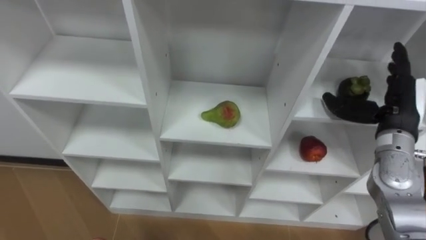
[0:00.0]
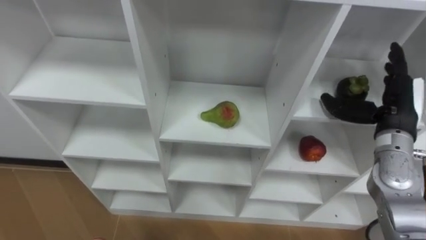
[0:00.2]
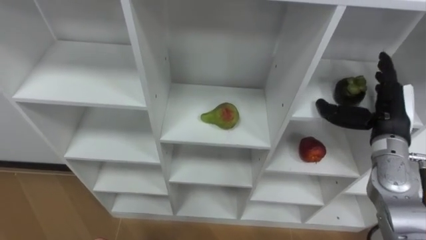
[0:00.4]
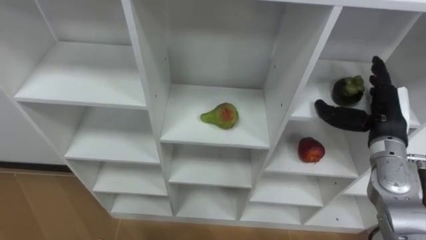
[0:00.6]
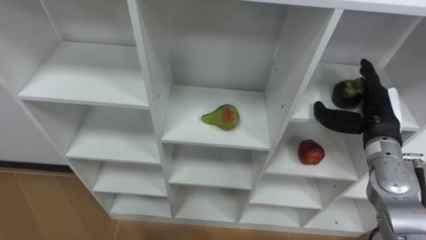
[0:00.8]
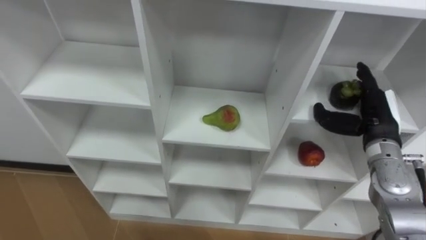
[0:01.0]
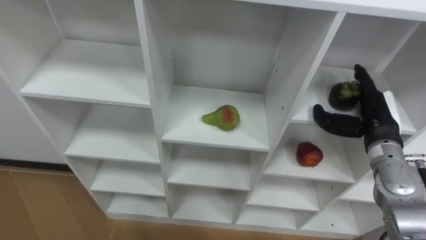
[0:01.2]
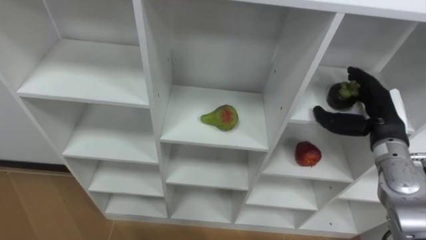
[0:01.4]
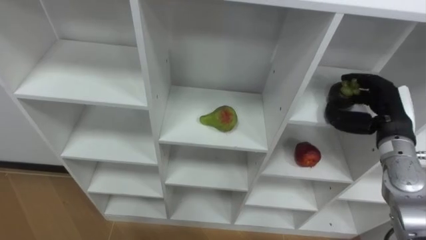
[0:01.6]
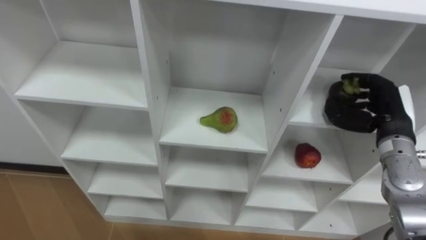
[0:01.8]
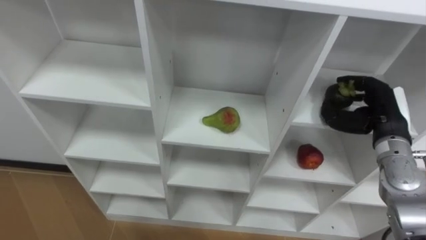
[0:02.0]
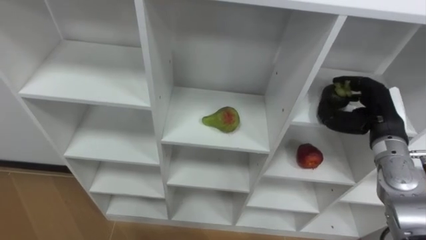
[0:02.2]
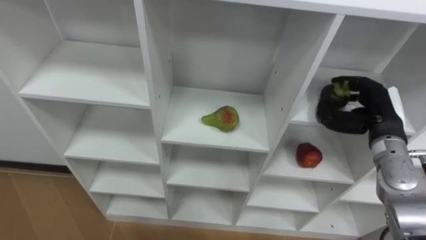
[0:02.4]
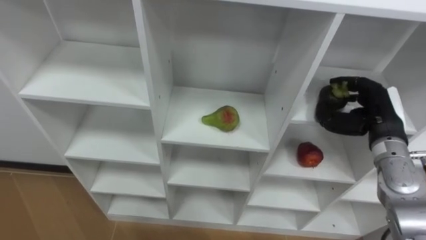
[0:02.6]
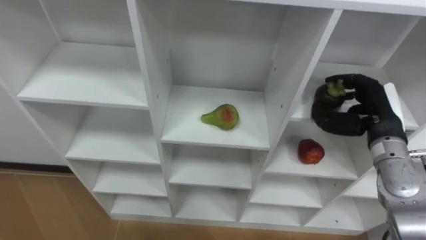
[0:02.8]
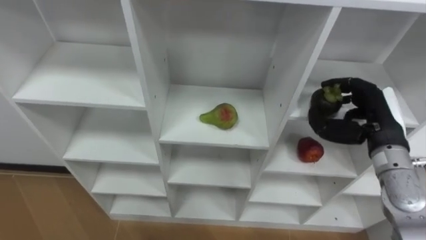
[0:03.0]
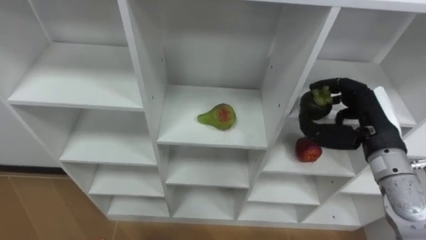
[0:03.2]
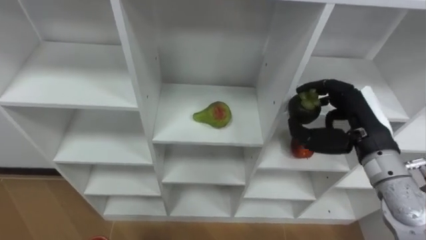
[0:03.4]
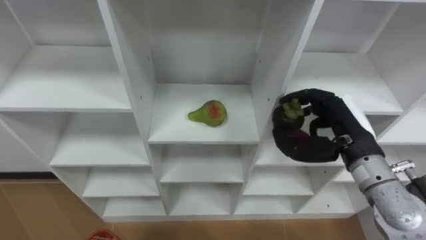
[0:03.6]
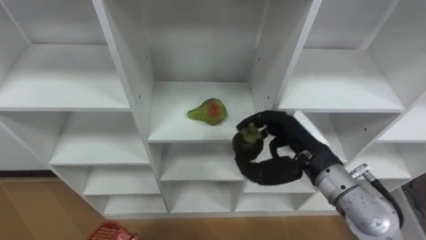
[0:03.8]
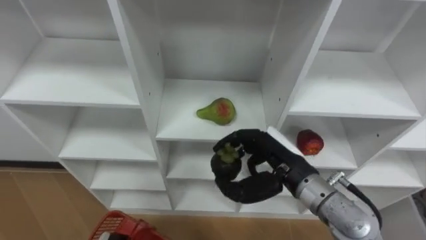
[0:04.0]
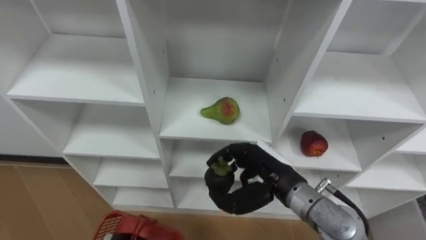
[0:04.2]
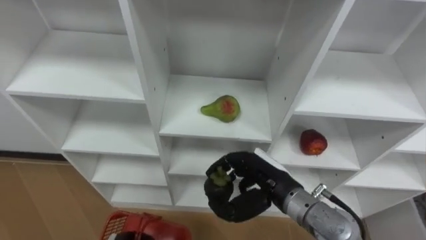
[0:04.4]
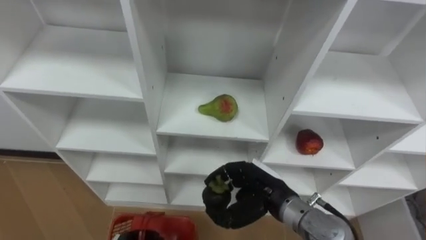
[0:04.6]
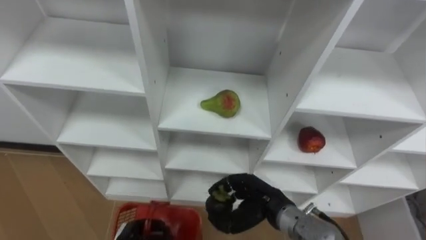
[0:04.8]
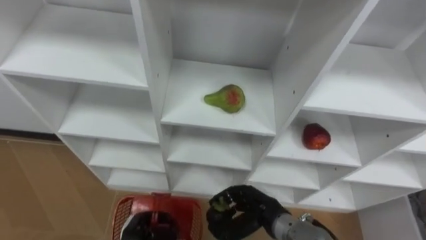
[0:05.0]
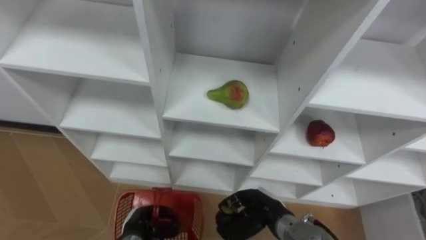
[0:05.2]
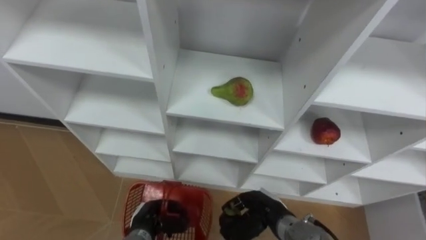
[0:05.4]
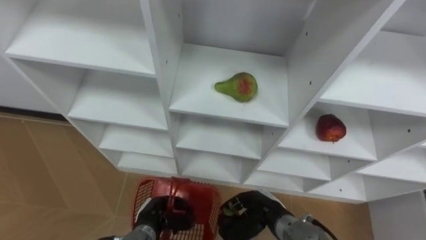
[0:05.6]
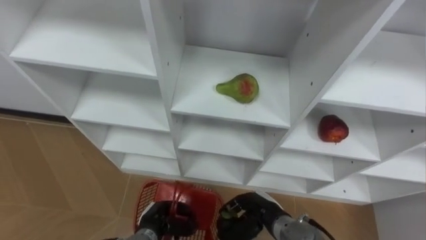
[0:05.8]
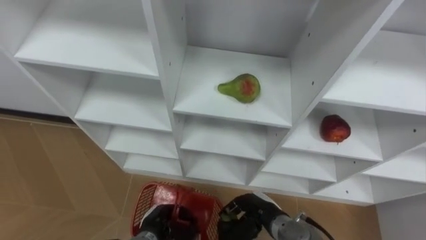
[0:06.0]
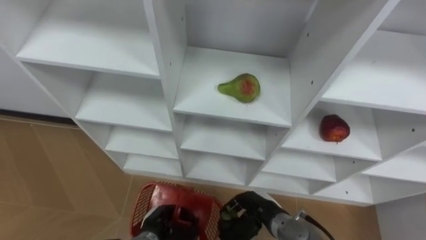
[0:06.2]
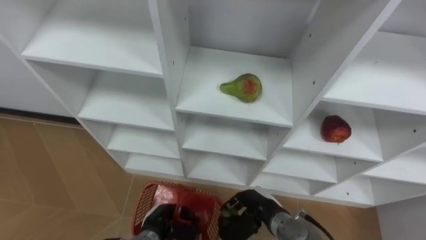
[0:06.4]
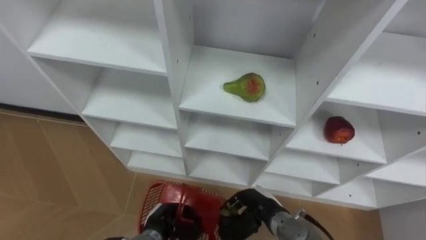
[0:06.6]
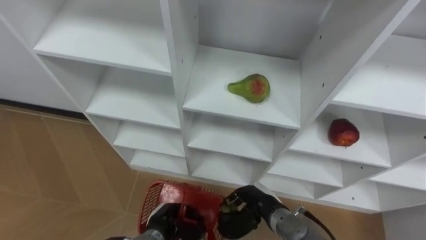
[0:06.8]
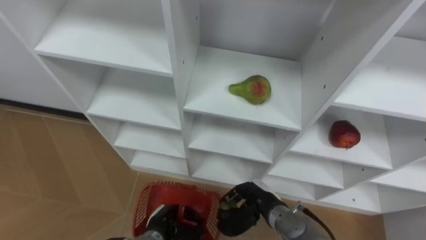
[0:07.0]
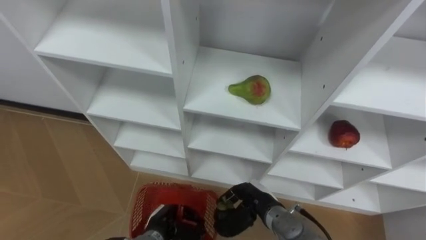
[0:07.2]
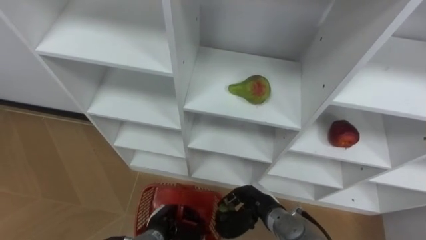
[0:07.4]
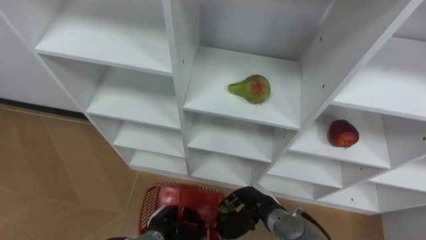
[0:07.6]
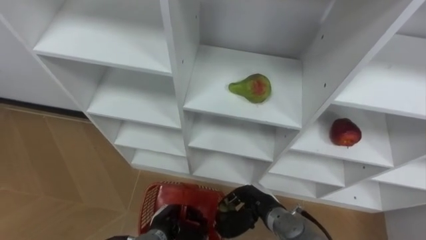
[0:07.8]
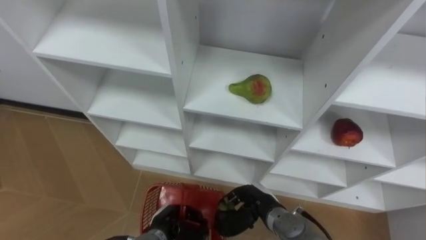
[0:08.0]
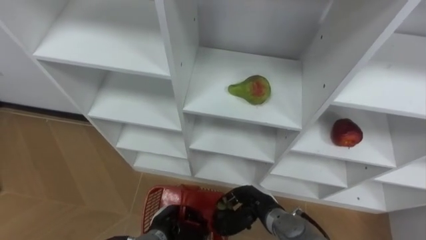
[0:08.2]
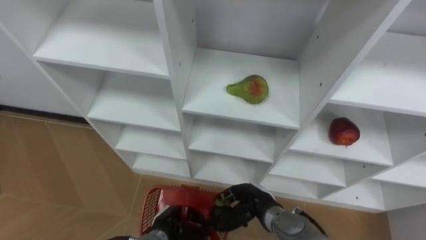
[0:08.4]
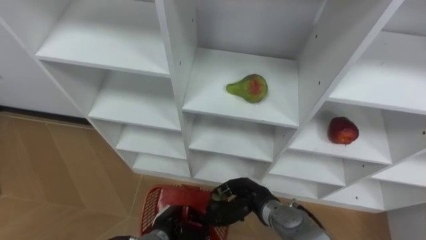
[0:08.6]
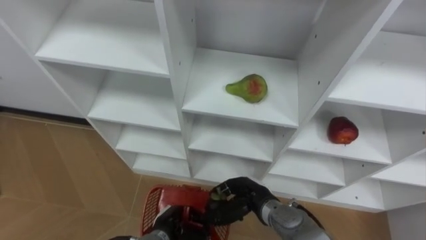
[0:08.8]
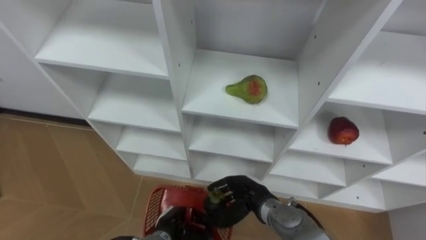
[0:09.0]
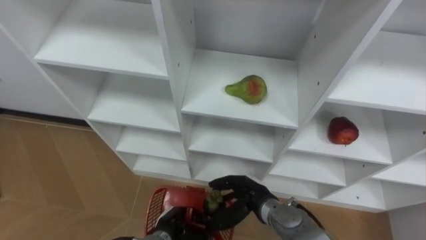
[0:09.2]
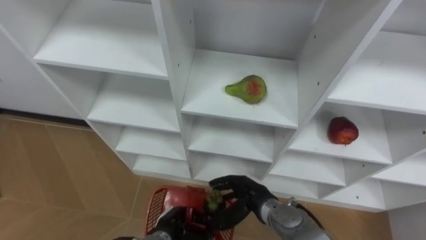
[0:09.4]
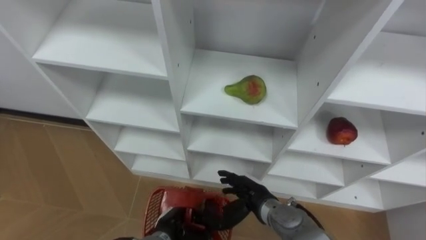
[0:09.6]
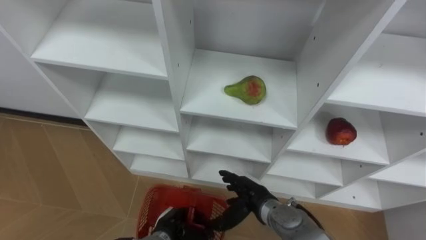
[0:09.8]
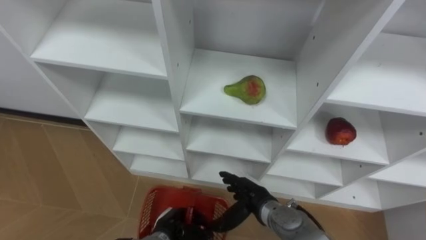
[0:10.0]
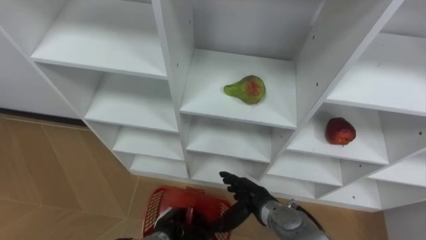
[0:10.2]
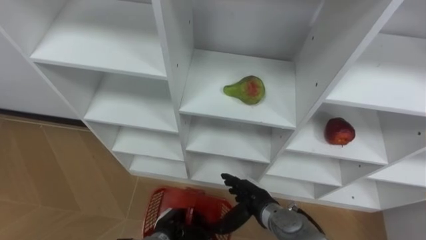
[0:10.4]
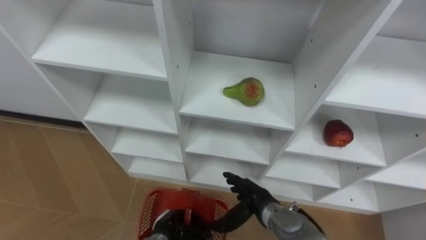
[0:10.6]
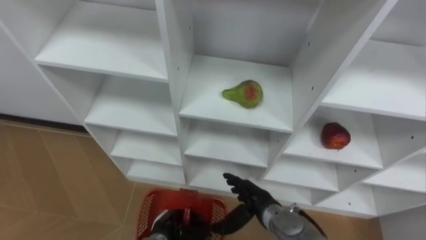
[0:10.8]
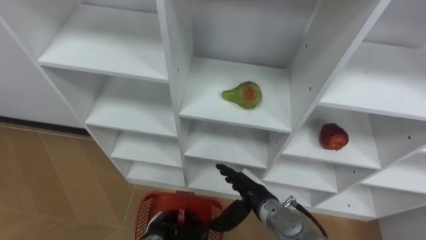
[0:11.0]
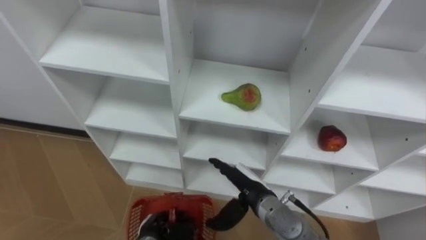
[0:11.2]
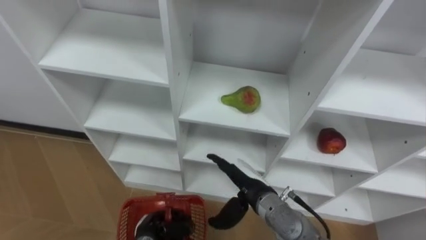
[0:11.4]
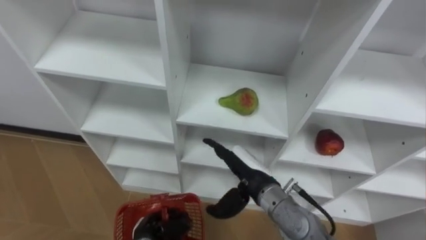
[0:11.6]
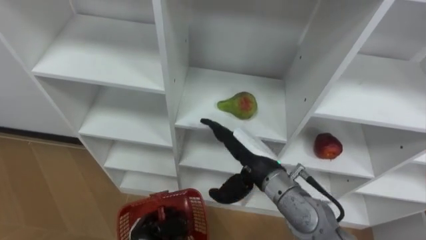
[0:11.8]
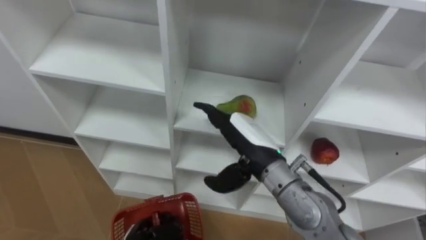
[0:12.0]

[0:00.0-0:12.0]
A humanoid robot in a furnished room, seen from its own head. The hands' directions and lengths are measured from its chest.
Task of the whole recording: Hold the basket and collect the fruits from 3 different cells of the closet into it.
0.0 to 1.6 s: The right hand closes.
3.0 to 4.4 s: The right hand travels to the left by roughly 20 cm.
4.4 to 6.0 s: The right hand shifts roughly 15 cm downward.
7.6 to 9.0 s: The hands make only small movements.
9.0 to 10.4 s: The right hand opens its fingers.
10.4 to 12.0 s: The right hand goes about 15 cm upward, while the left hand shifts approximately 5 cm to the left.

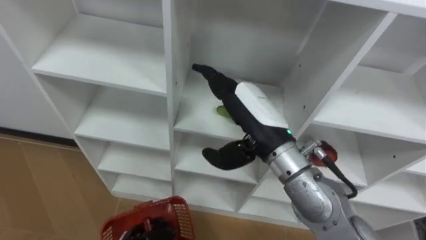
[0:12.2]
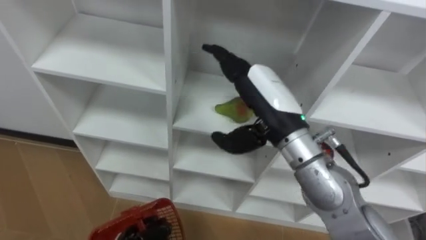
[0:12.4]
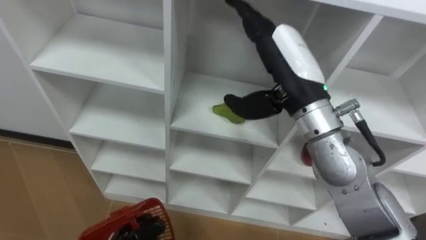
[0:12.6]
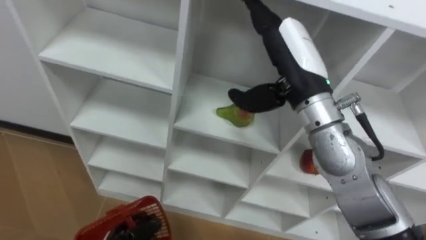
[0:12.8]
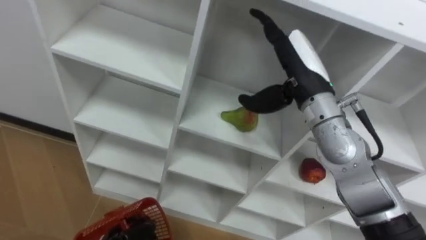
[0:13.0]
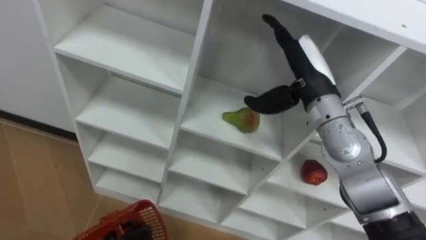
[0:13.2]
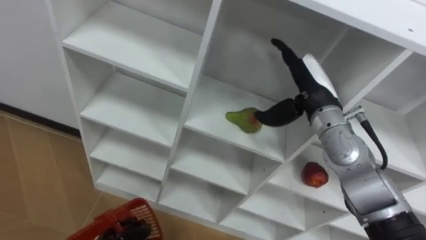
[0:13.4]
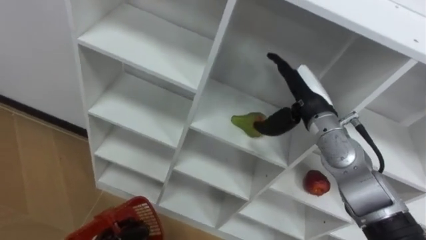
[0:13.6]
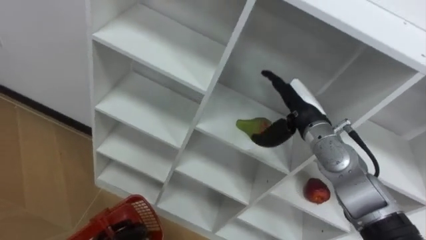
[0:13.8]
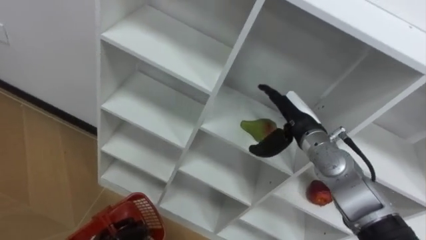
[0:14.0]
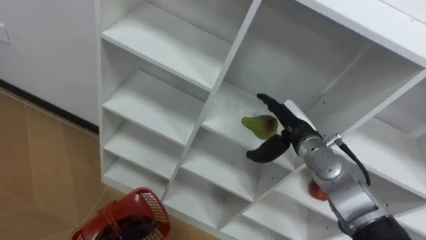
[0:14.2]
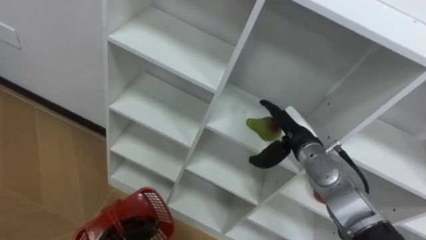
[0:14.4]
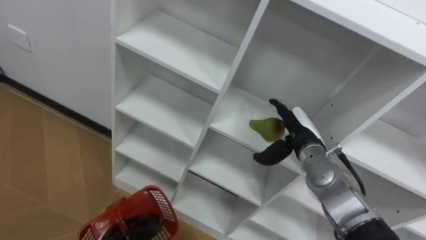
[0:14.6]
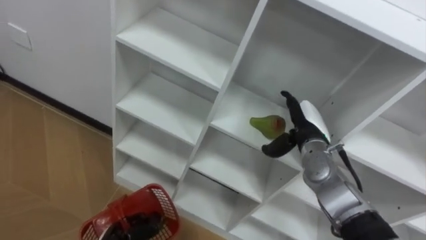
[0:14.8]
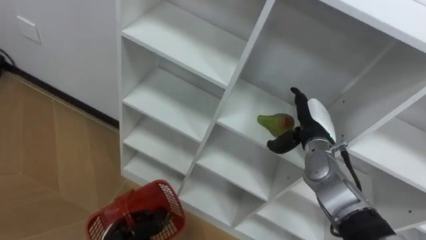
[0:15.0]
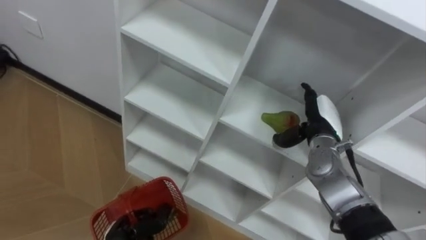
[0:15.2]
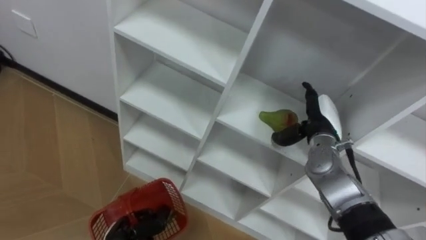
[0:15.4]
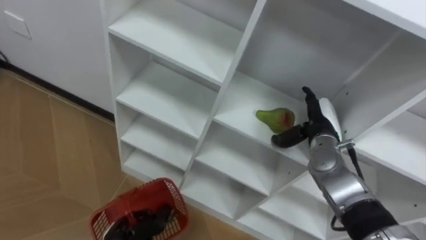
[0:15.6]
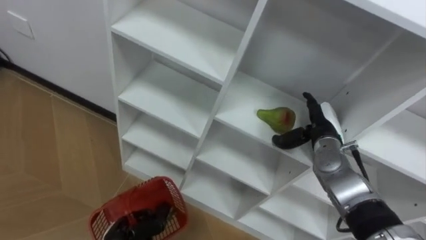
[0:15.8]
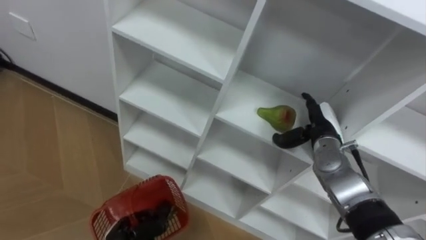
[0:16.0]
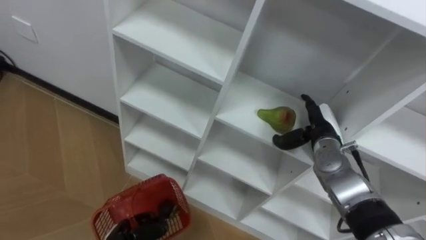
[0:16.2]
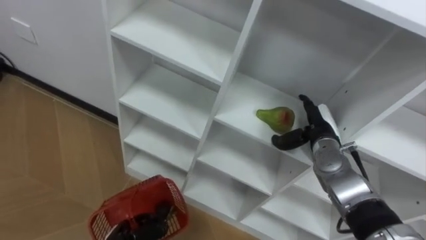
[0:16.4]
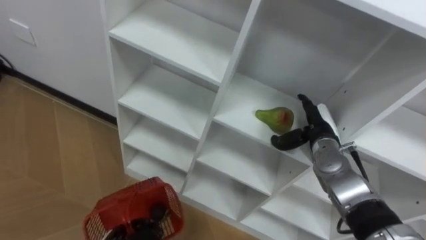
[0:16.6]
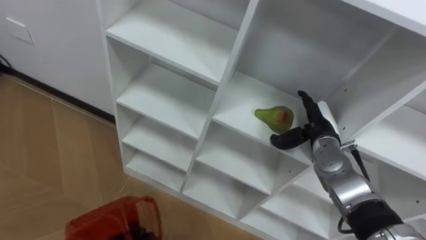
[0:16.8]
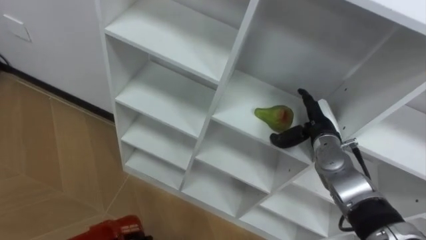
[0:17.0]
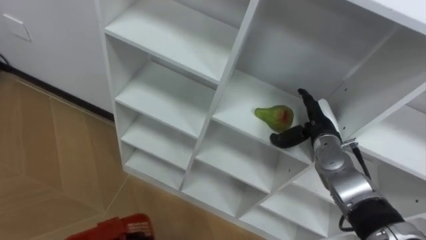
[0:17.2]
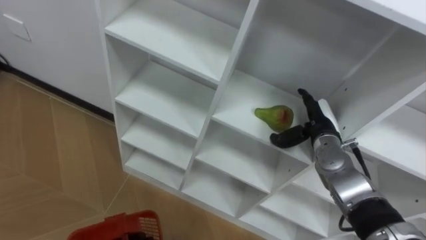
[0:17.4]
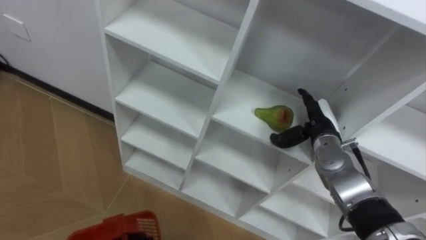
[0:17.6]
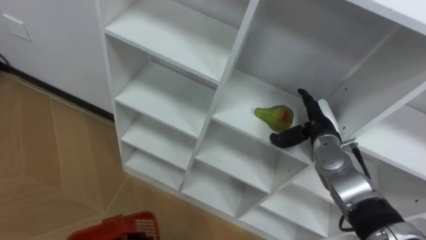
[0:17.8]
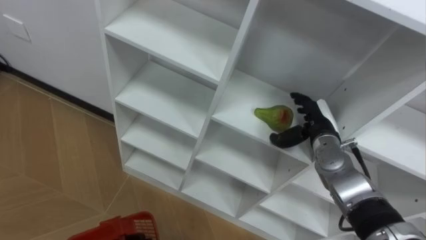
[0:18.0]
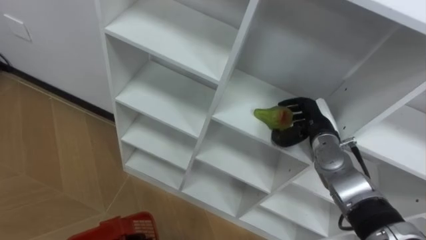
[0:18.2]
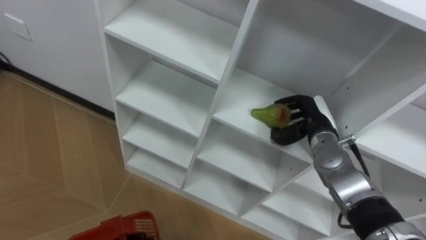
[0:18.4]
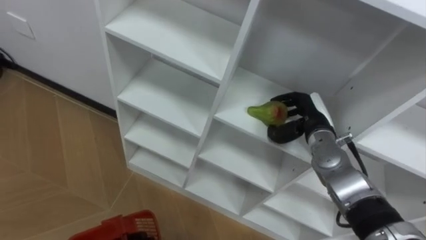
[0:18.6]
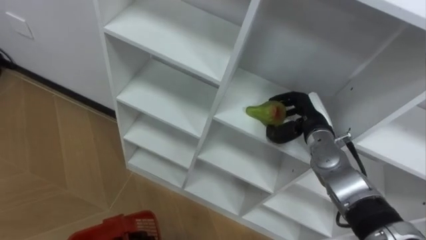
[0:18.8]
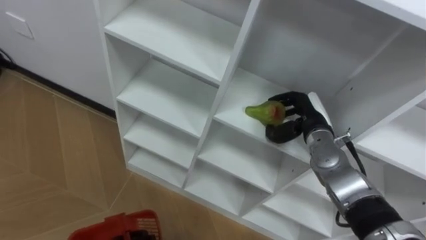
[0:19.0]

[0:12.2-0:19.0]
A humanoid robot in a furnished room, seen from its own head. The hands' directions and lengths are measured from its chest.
Task of the whole recording: Hold the basket and collect the fruits from 3 different cells of the closet into it.
12.2 to 13.6 s: The right hand travels to the right and forward by approximately 15 cm, and moves approximately 5 cm upward and comes back.
13.6 to 15.0 s: The right hand moves downward, approximately 10 cm.
17.6 to 19.0 s: The right hand closes up.
